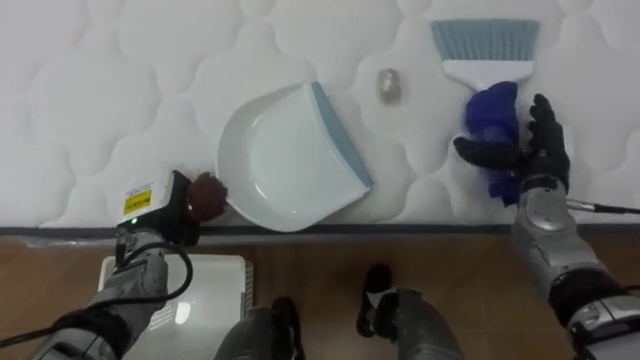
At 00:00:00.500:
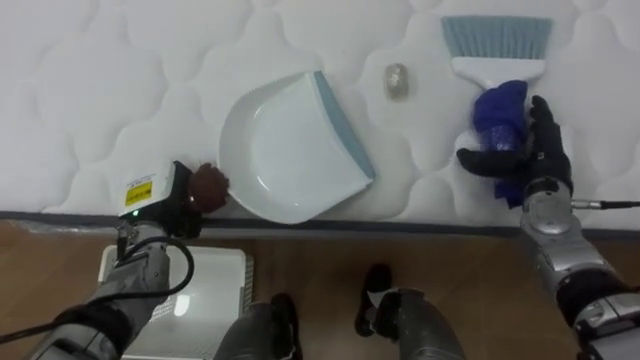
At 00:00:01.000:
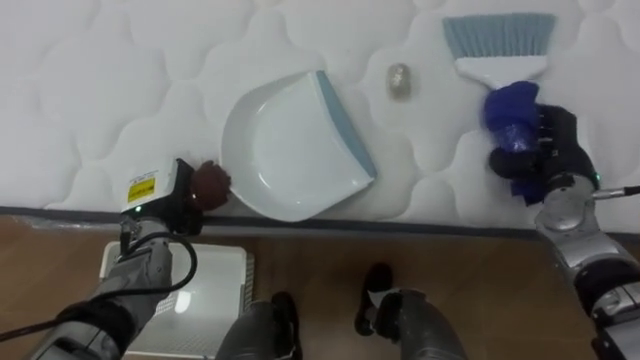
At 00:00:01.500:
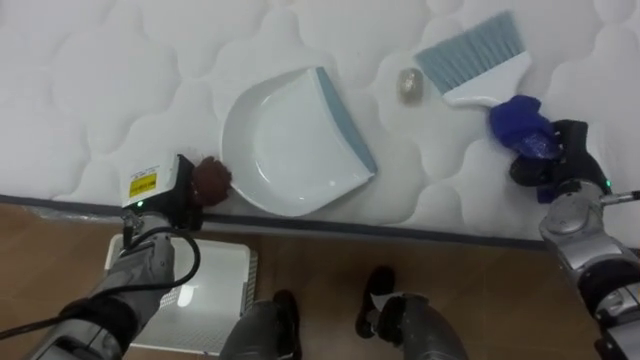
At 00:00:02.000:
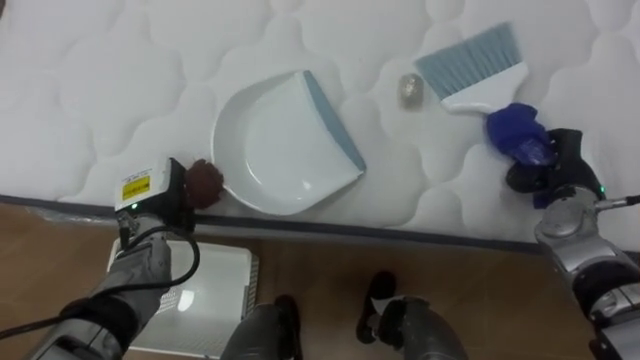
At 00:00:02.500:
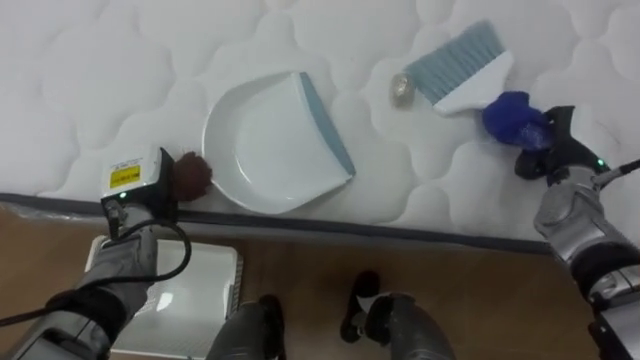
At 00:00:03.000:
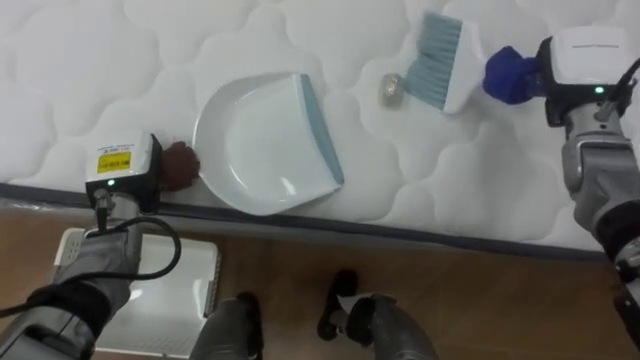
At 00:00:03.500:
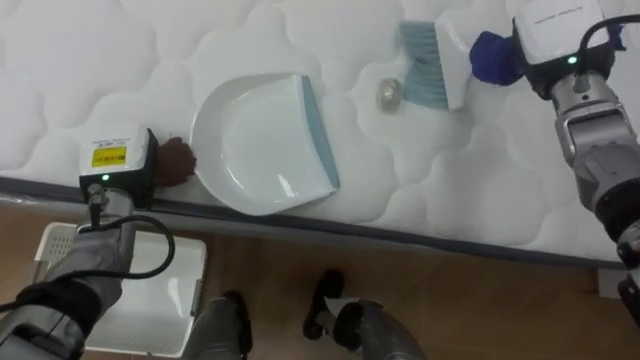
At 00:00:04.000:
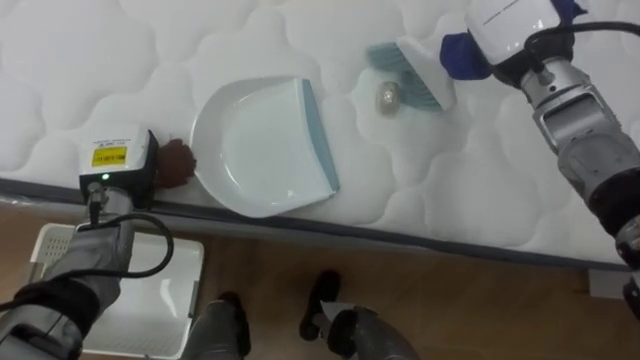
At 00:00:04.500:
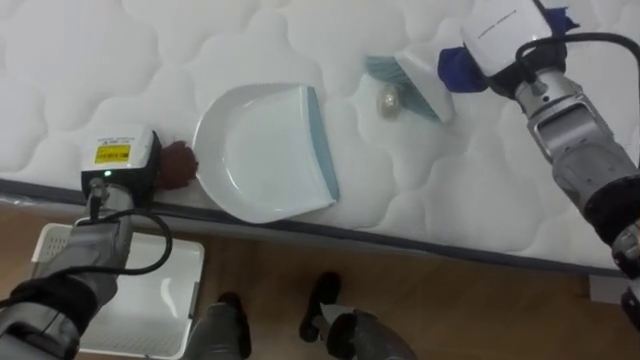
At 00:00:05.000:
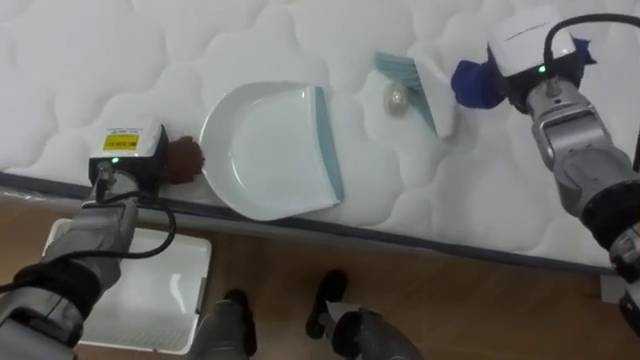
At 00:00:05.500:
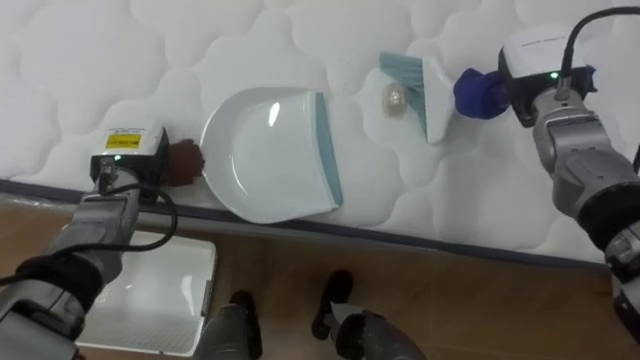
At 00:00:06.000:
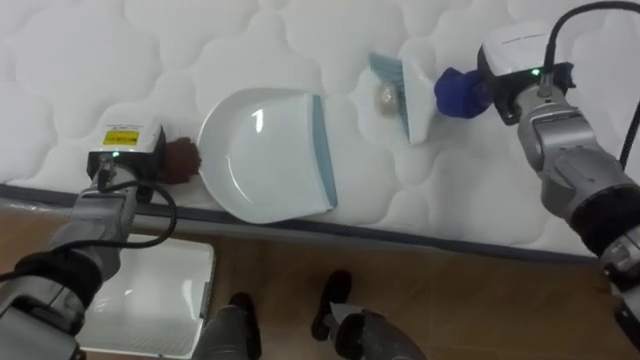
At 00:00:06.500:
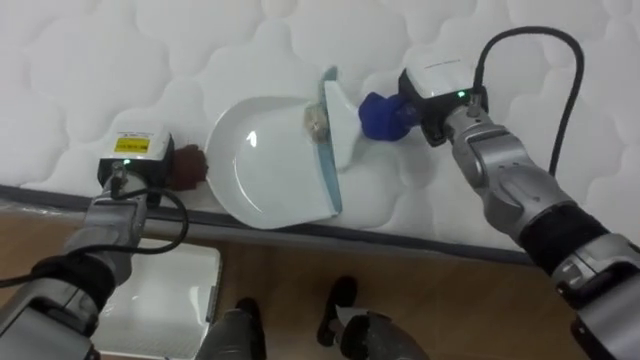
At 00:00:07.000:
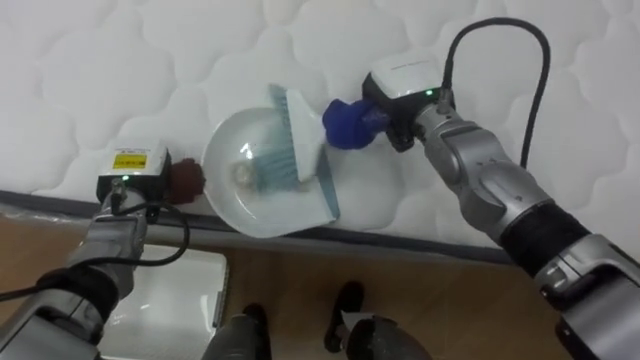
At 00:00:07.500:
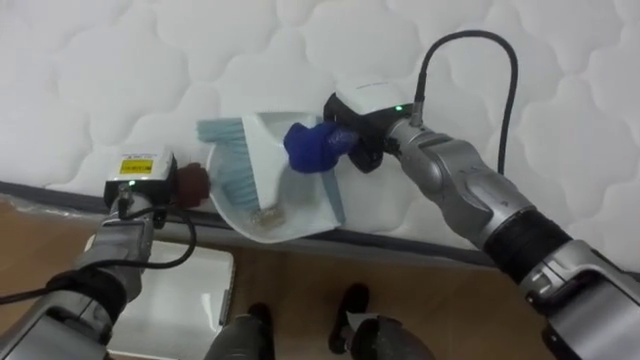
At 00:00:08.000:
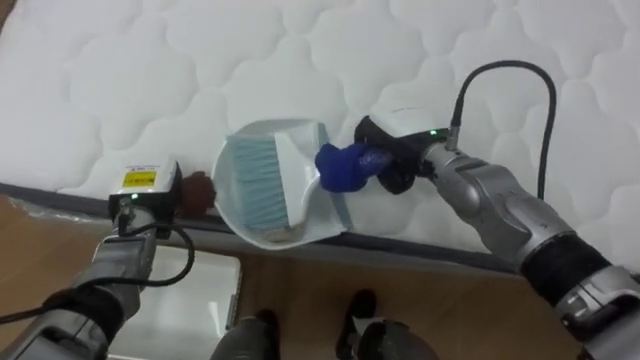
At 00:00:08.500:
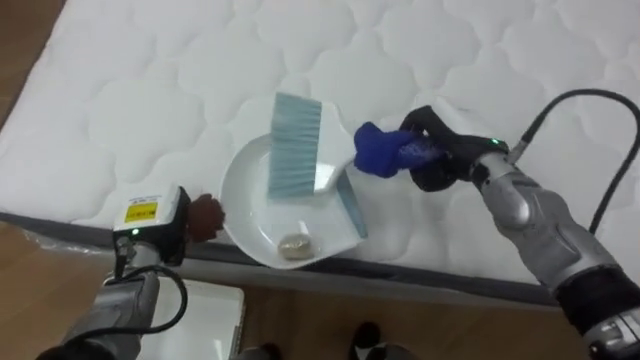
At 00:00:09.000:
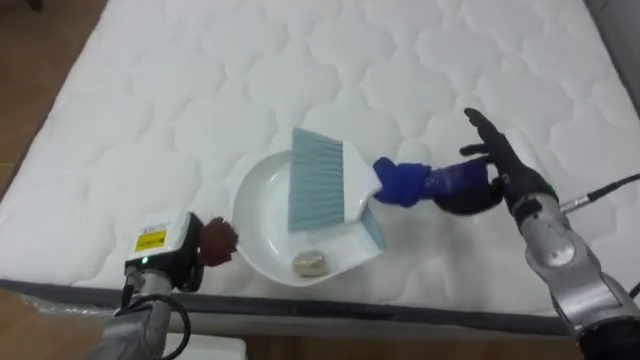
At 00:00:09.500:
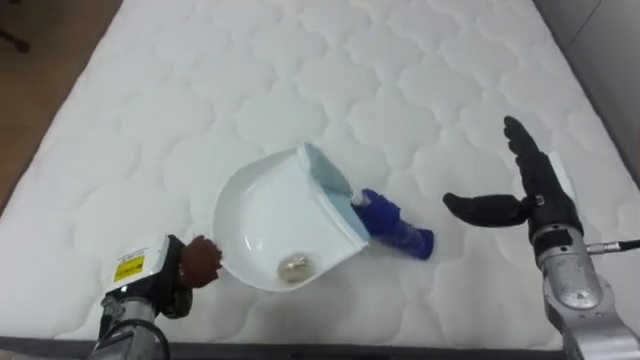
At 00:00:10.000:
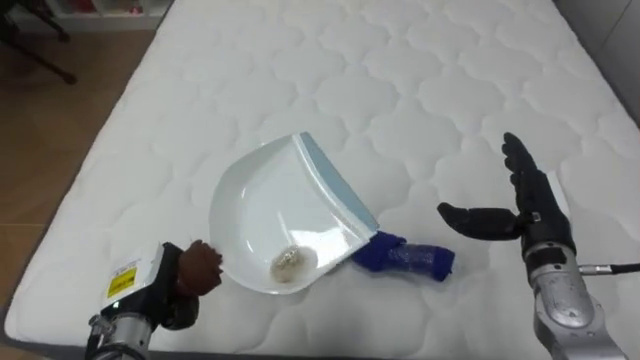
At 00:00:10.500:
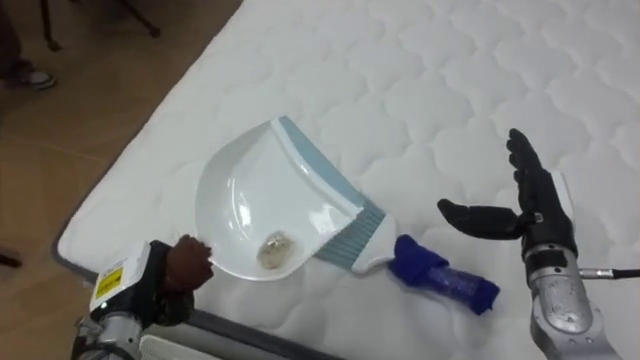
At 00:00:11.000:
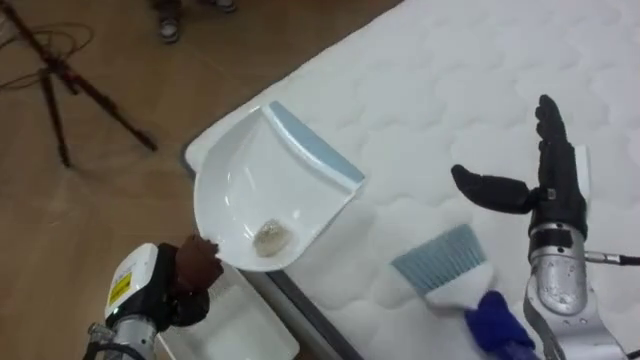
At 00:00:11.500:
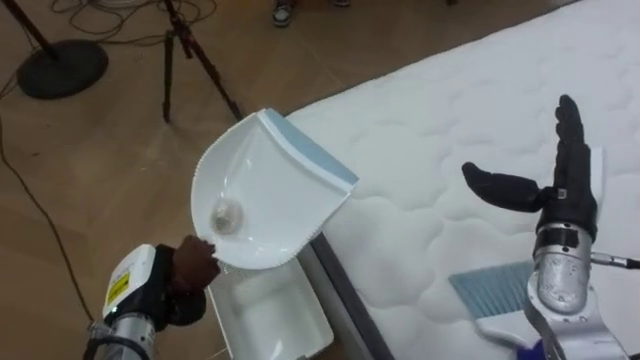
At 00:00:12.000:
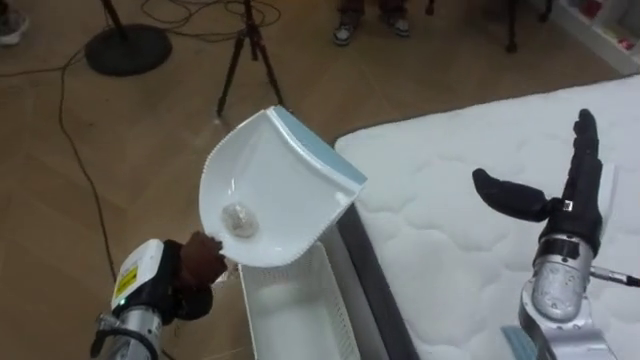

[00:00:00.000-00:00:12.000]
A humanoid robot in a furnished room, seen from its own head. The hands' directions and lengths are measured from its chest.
Task of the whole recording: Pick up the brush on your right and the dustpan on your left. Use the brush to sweep the crumpled paper on the bed into the dustpan, then turn left and empty it into the basket.
00:00:00.000 to 00:00:02.000: The right hand closes its fingers.
00:00:02.000 to 00:00:04.000: The left hand changes place by about 5 cm. Meanwhile the right hand heads upward, to the left and forward, covering approximately 20 cm.
00:00:04.000 to 00:00:06.000: The right hand shifts by roughly 5 cm.
00:00:06.000 to 00:00:08.000: The right hand shifts roughly 15 cm to the left and downward. Meanwhile the left hand shifts by about 5 cm.
00:00:08.000 to 00:00:10.000: The right hand shifts some 20 cm to the right and backward, and opens up. The left hand is displaced backward by some 15 cm.
00:00:10.000 to 00:00:12.000: The robot faces approximately 70 degrees further to its left.

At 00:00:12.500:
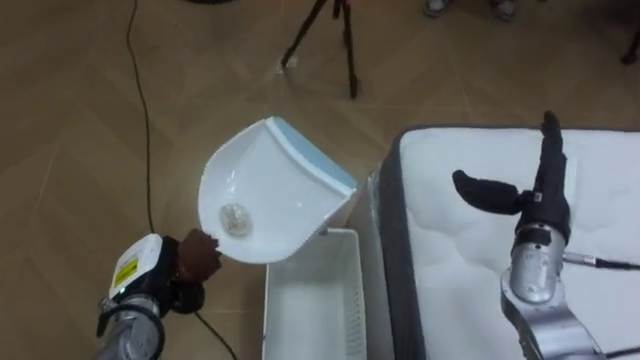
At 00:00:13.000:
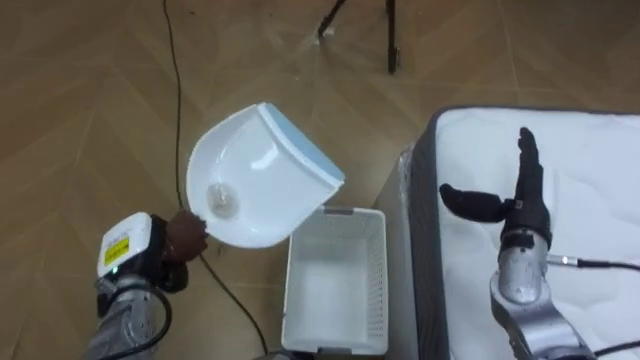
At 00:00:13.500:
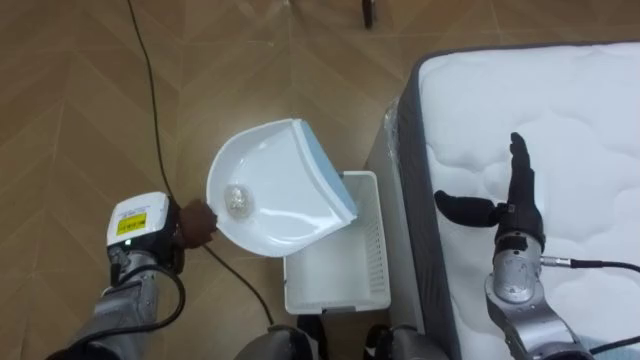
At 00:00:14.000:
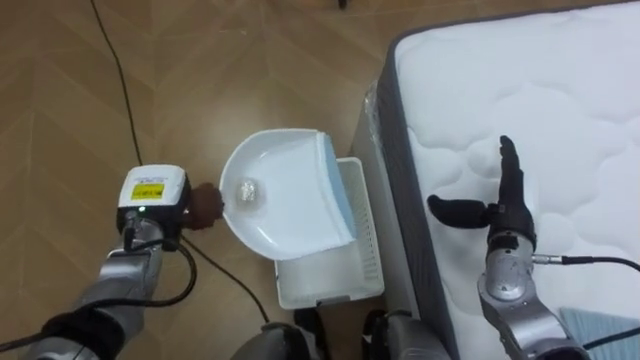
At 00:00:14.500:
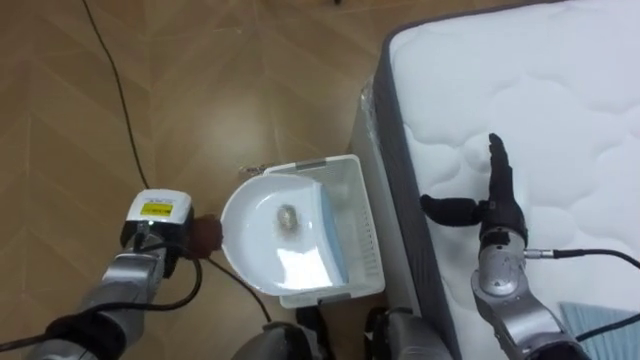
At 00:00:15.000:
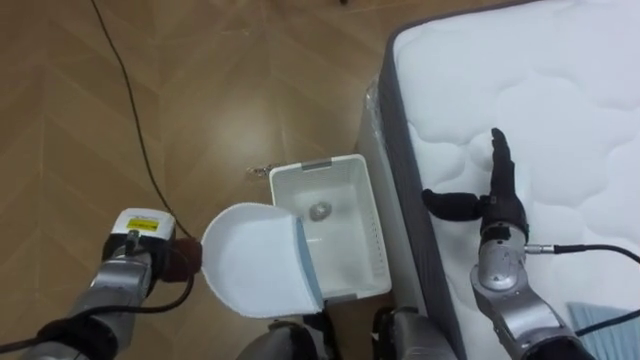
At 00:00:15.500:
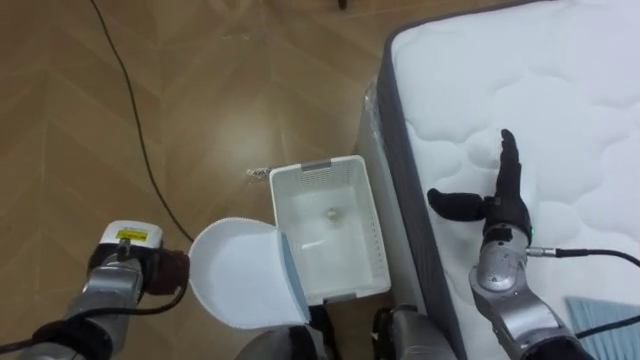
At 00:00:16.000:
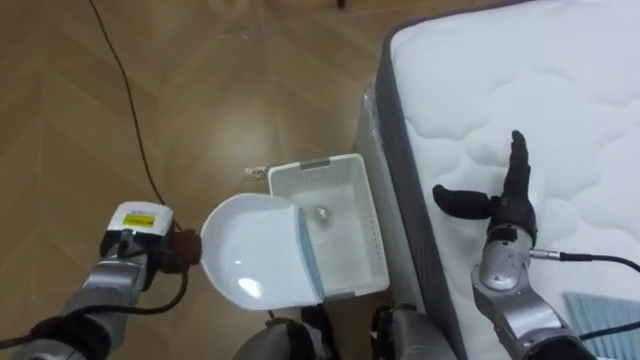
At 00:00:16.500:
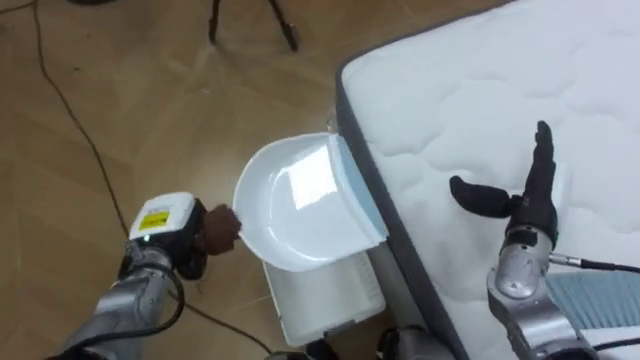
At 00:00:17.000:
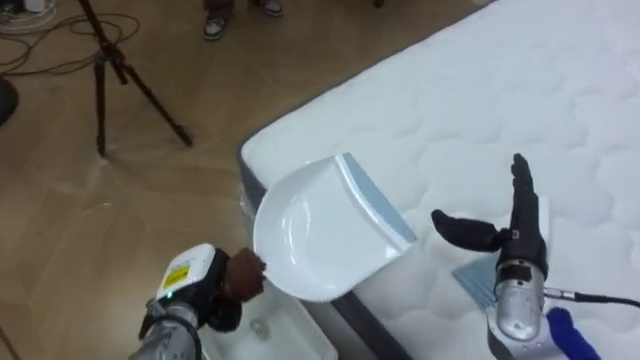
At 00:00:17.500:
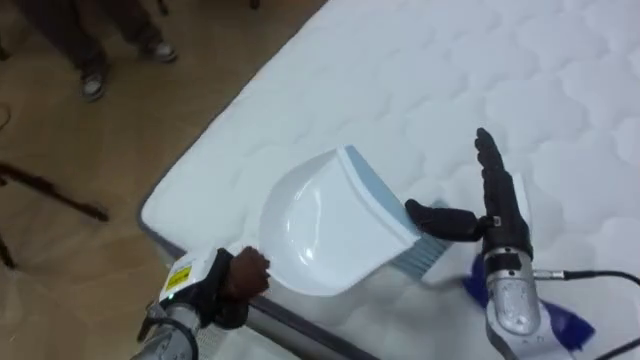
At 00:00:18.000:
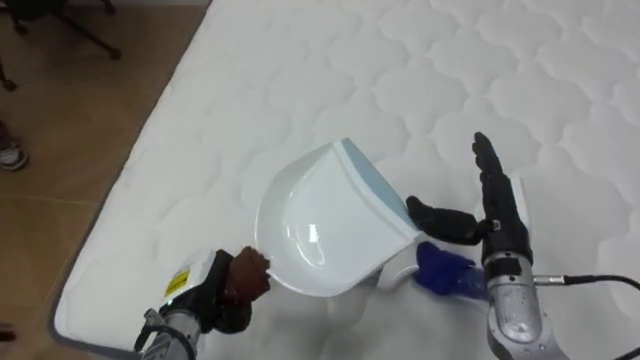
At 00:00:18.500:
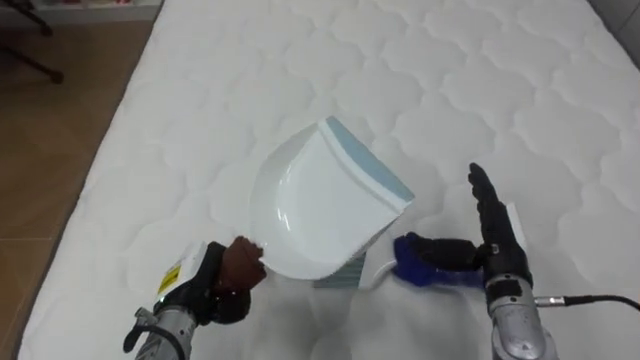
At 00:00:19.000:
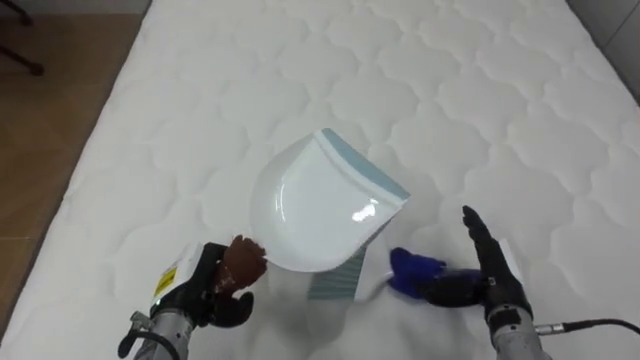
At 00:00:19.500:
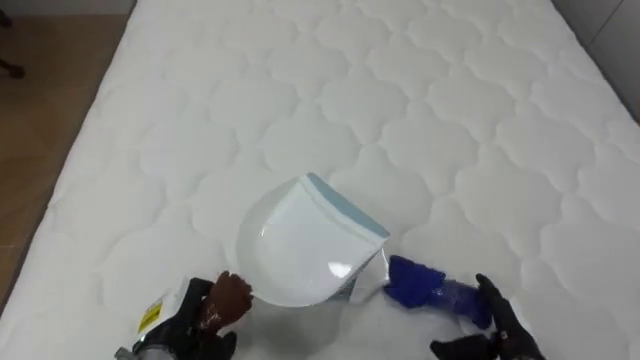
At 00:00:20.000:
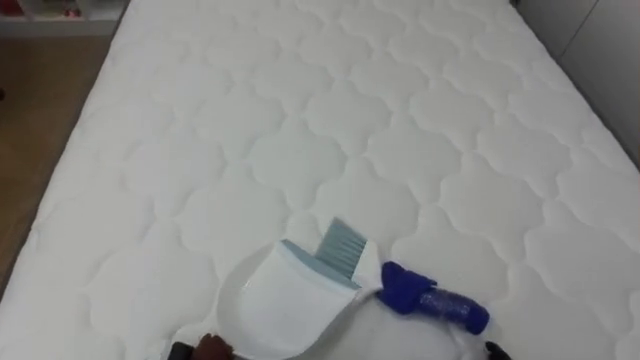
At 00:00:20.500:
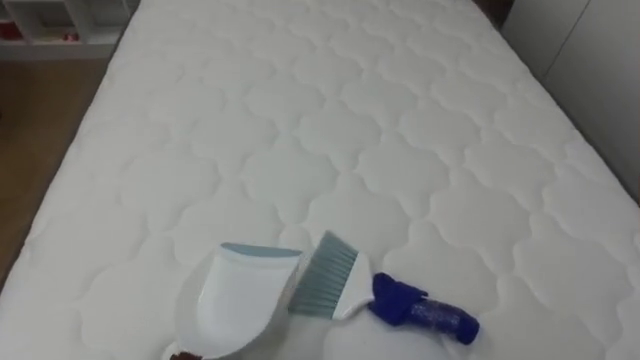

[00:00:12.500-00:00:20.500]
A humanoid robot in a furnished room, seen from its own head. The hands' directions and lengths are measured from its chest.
Task of the whole recording: Pick up the brush on your right and the dustpan on your left. Use the brush to sweep the crumpled paper on the bed into the dustpan, then turn left and empty it into the basket.
00:00:12.500 to 00:00:14.500: The right hand shifts by roughly 5 cm, while the left hand is displaced forward by approximately 10 cm.
00:00:16.500 to 00:00:18.500: The robot turns to its right by some 75 degrees. The right hand changes place by roughly 5 cm. Meanwhile the left hand heads backward, covering roughly 5 cm.
